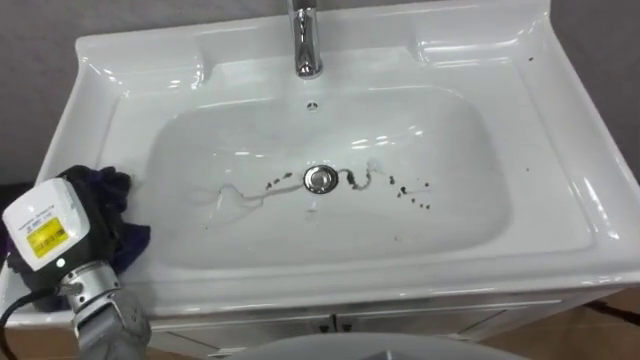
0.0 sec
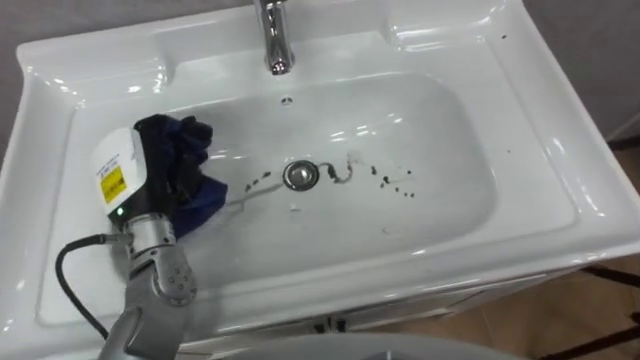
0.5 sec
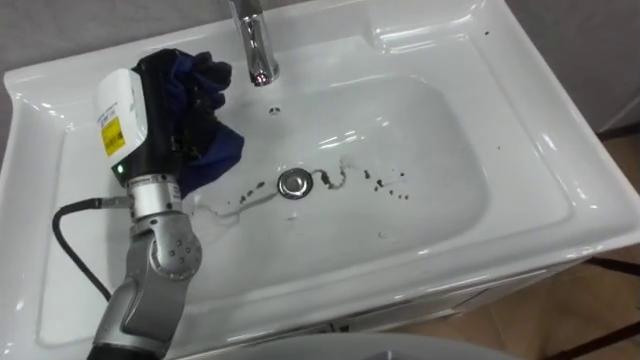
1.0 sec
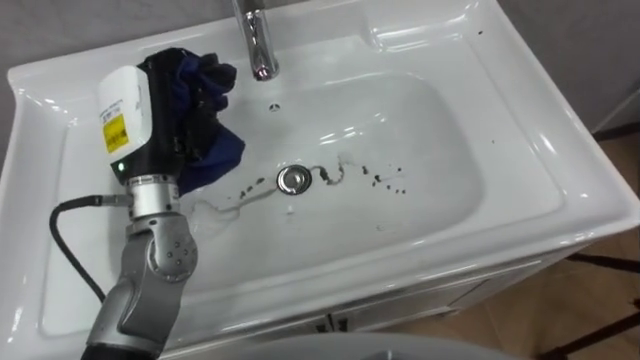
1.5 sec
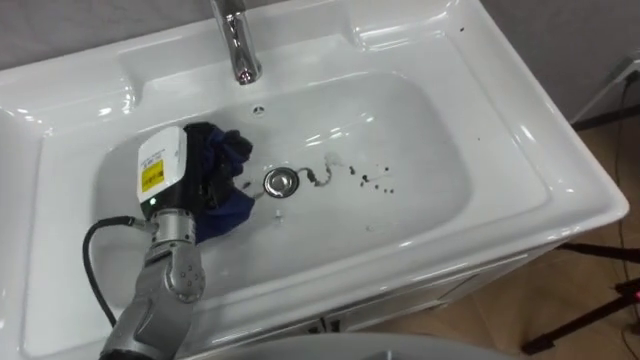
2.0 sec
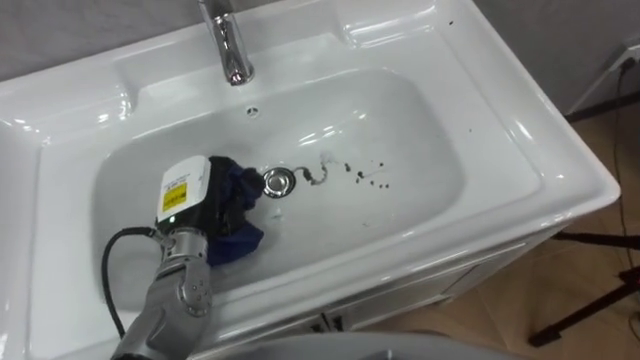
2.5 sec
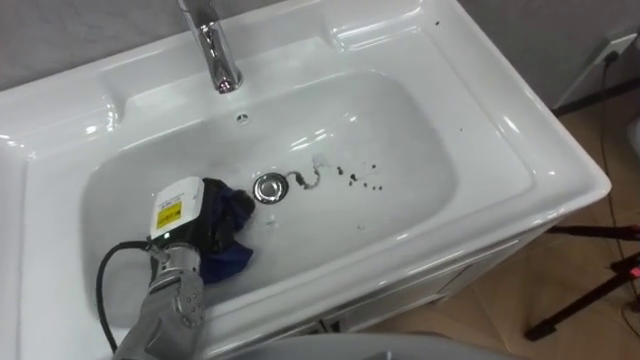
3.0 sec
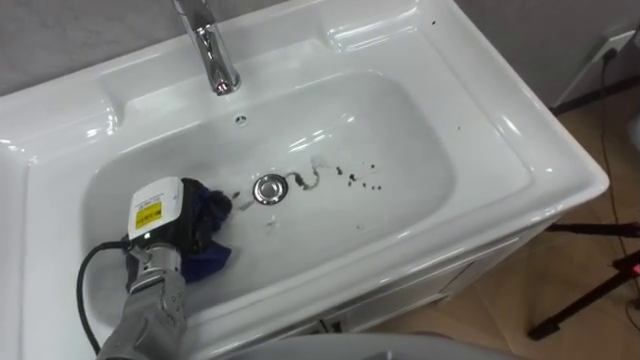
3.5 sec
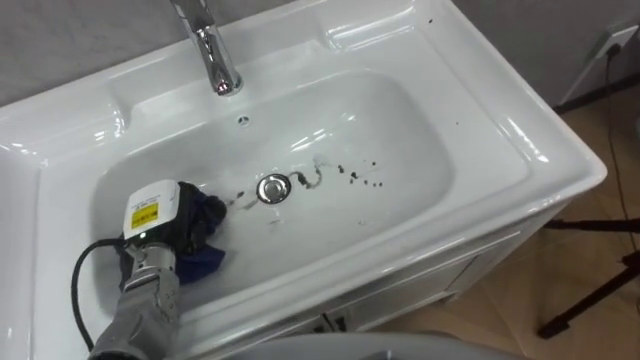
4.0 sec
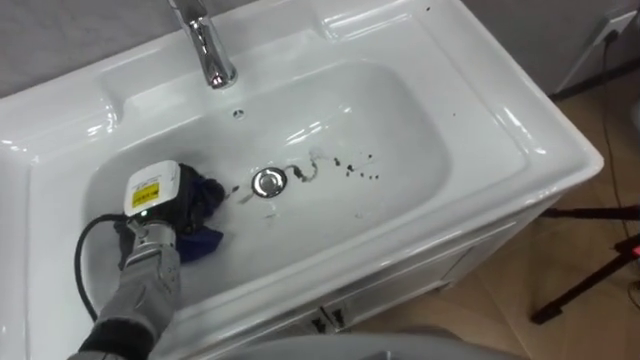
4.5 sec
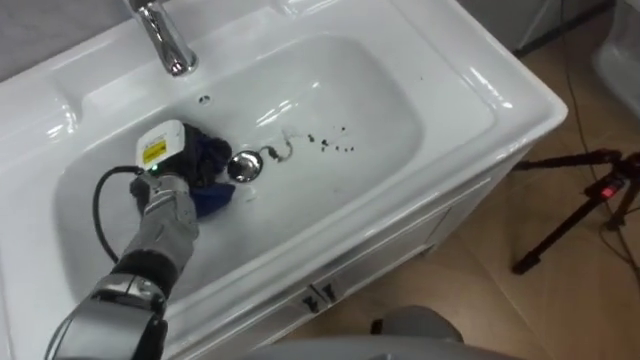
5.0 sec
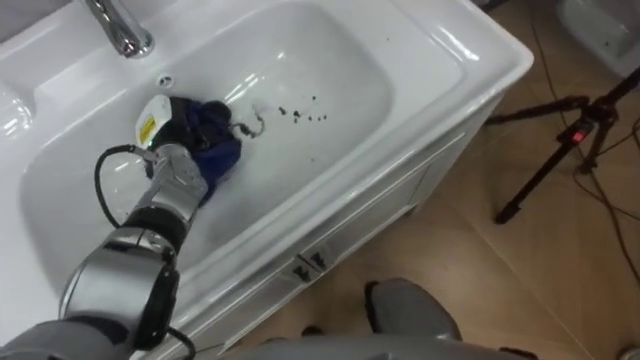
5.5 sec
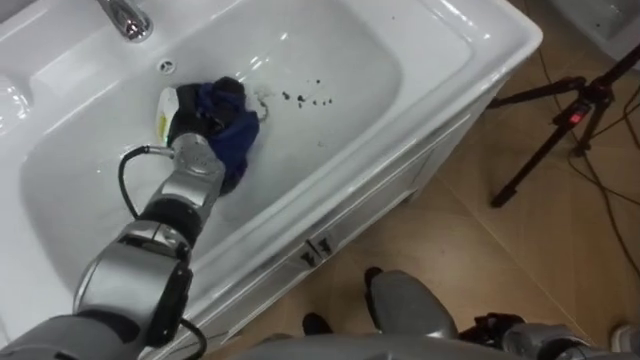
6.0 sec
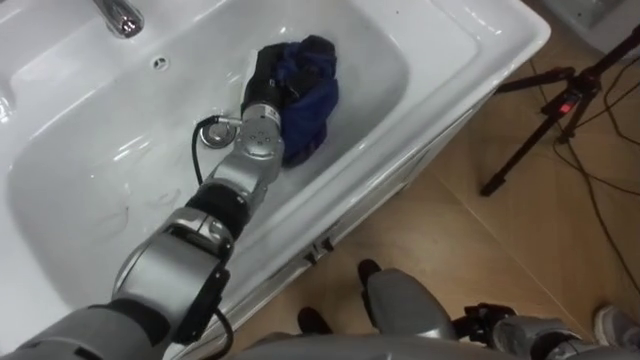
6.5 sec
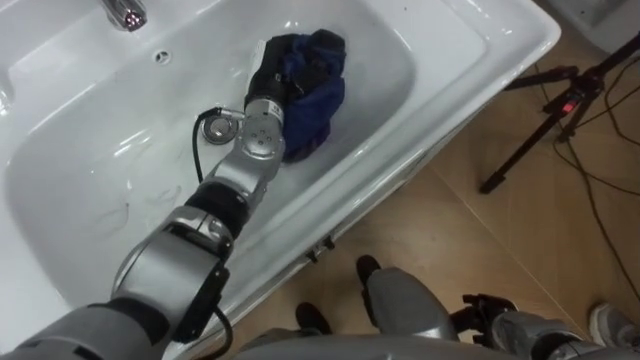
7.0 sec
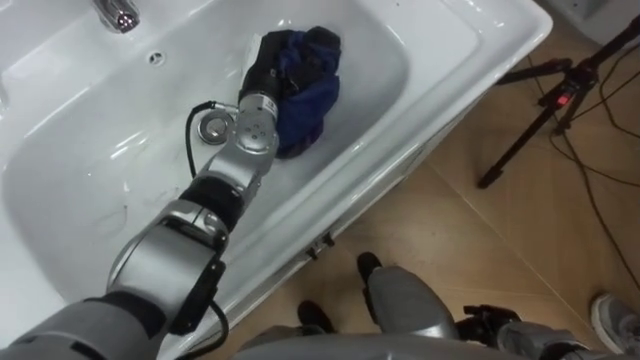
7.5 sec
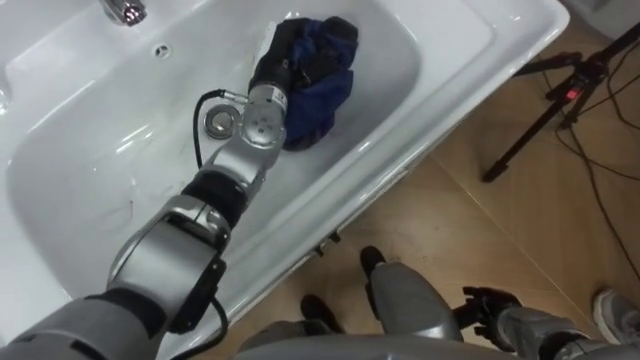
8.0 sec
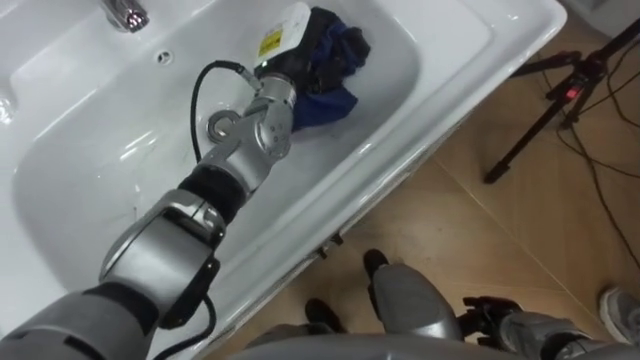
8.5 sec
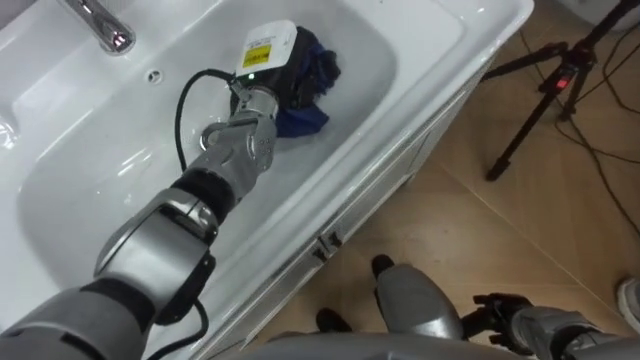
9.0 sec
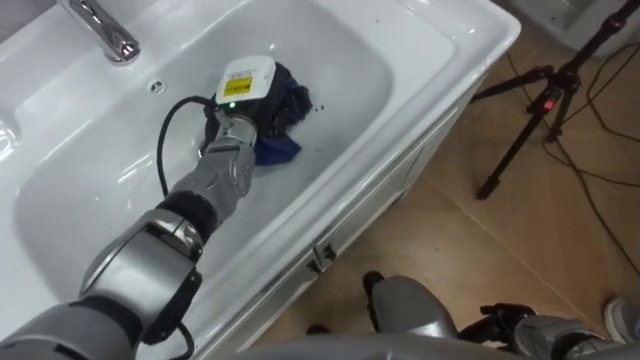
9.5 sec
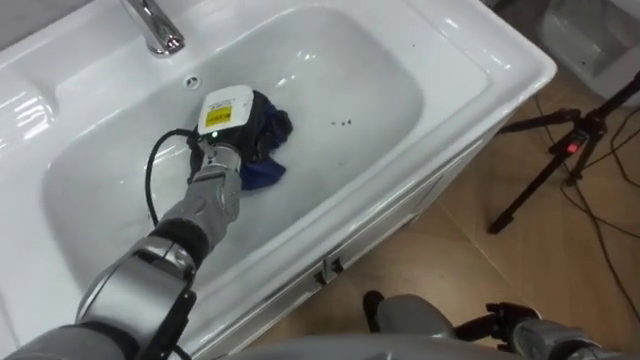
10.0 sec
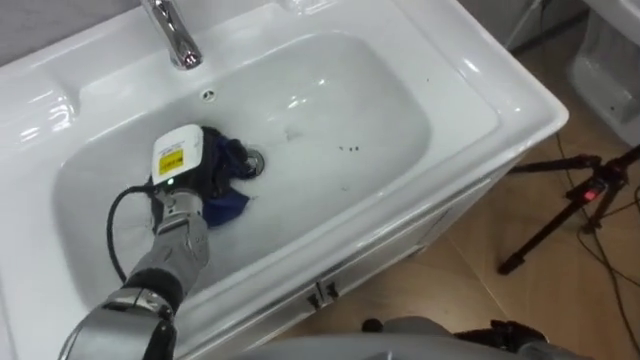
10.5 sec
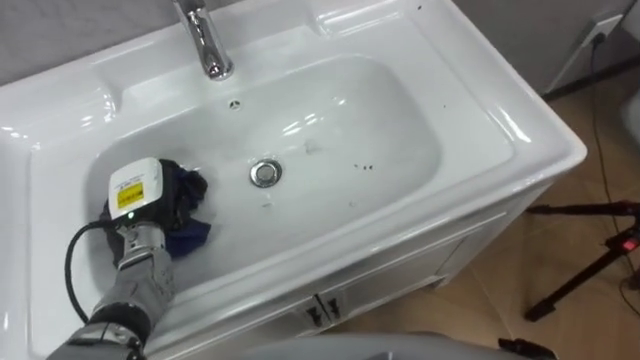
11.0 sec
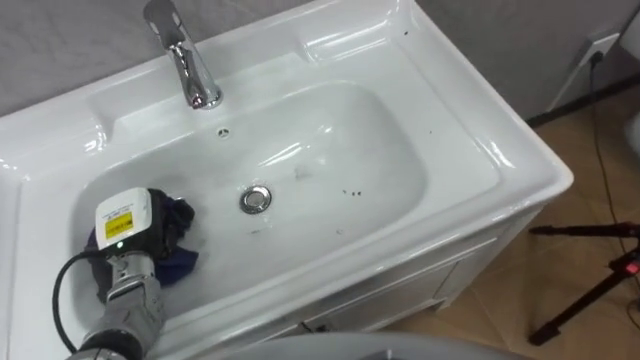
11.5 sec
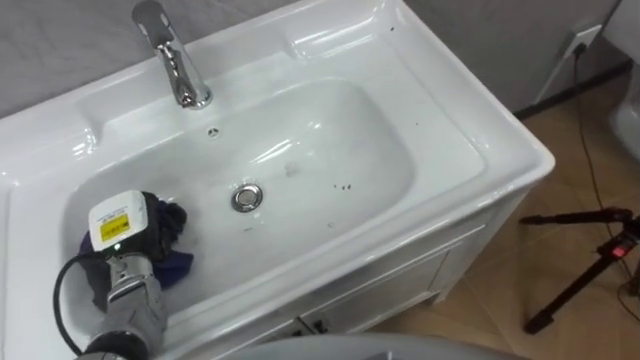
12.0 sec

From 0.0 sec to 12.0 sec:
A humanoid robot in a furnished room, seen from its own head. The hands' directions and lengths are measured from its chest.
Task of the whole recording: Use the cloth on the right to wipe away the black stain in the sink.
From 0.0 sec to 2.0 sec: The left hand travels to the right and forward by roughly 15 cm.
From 2.0 sec to 4.0 sec: The left hand moves downward, some 10 cm.
From 4.0 sec to 6.0 sec: The left hand goes some 15 cm forward.
From 6.0 sec to 8.0 sec: The left hand goes roughly 15 cm to the right and upward.
From 8.0 sec to 10.0 sec: The left hand travels to the left and downward by approximately 10 cm.
From 10.0 sec to 12.0 sec: The left hand heads to the left, backward and downward, covering approximately 20 cm.

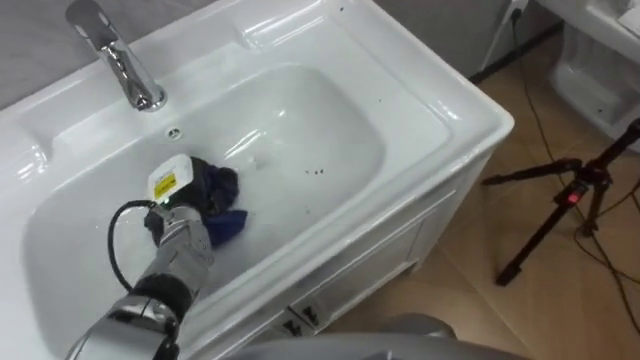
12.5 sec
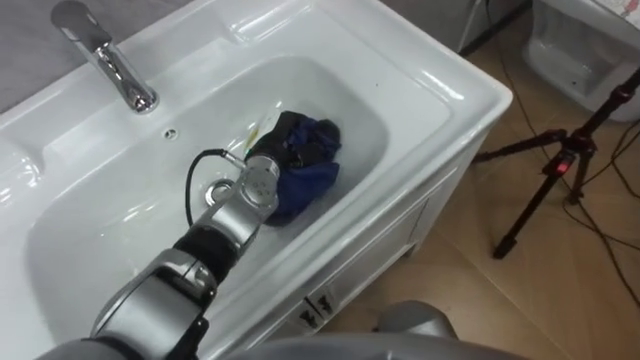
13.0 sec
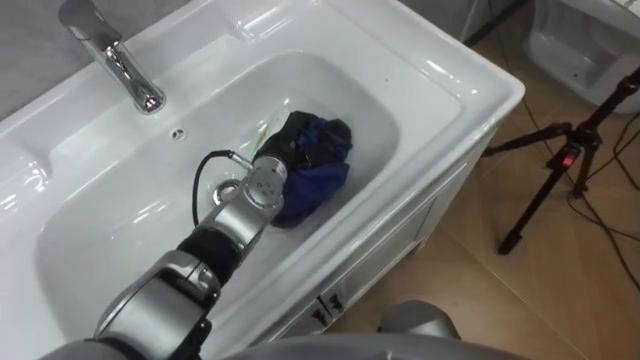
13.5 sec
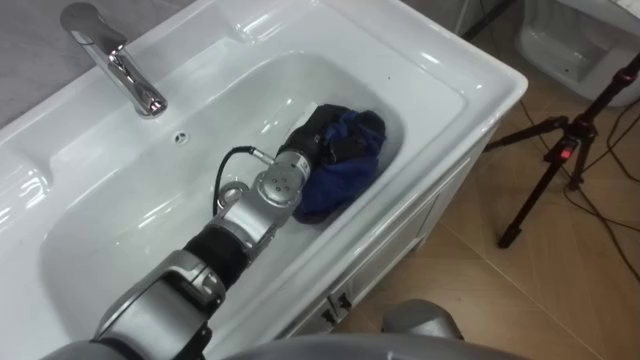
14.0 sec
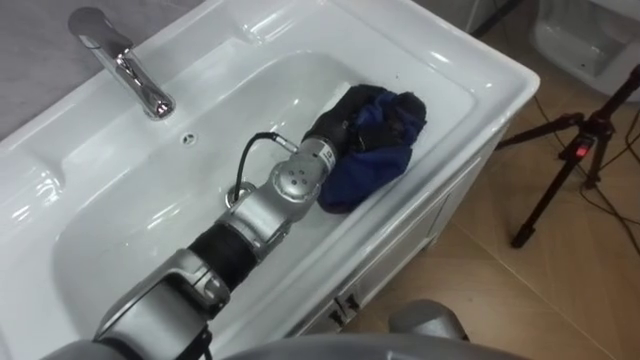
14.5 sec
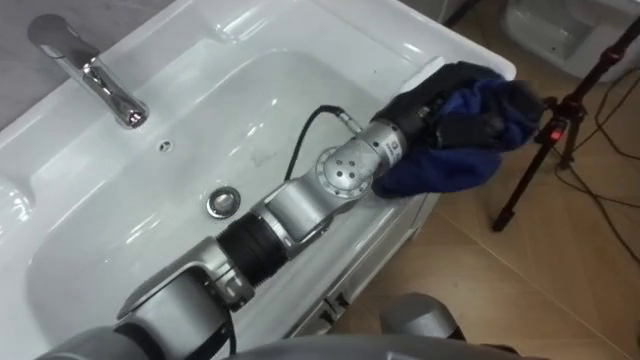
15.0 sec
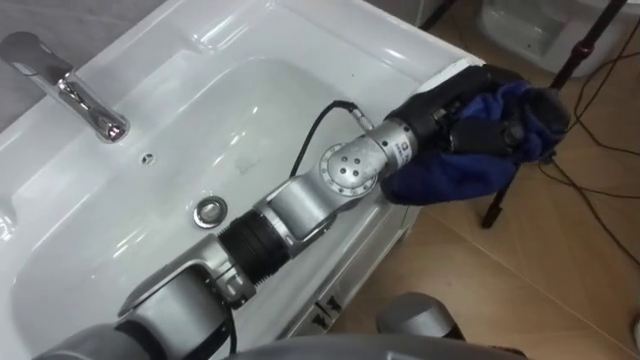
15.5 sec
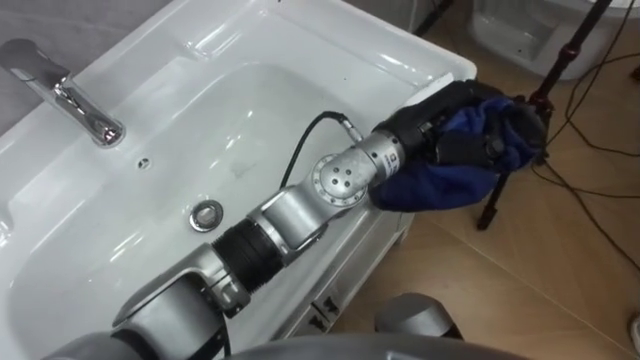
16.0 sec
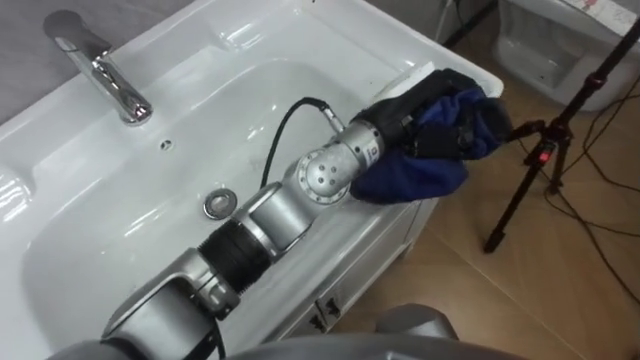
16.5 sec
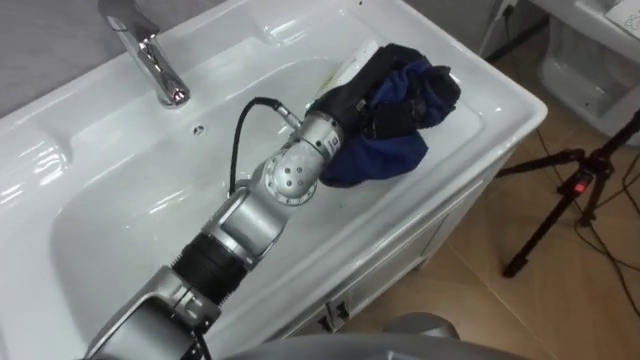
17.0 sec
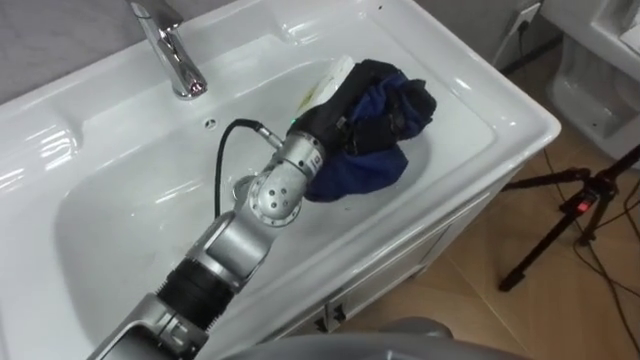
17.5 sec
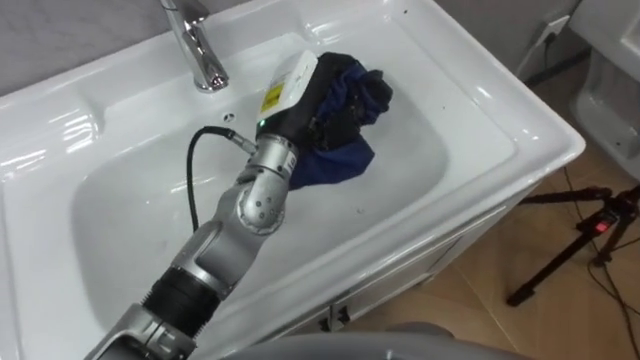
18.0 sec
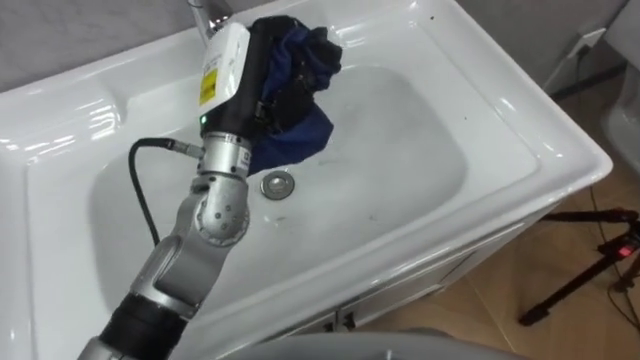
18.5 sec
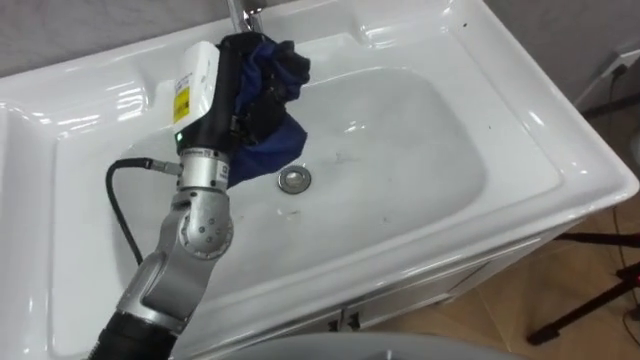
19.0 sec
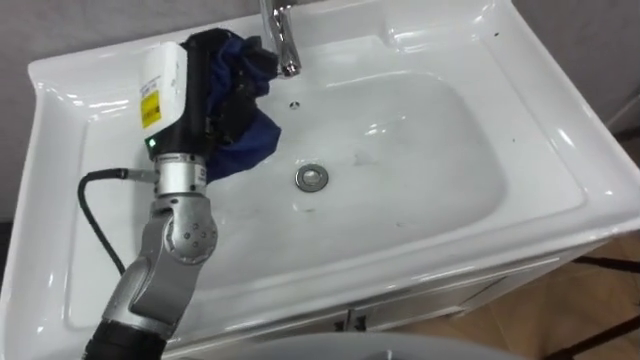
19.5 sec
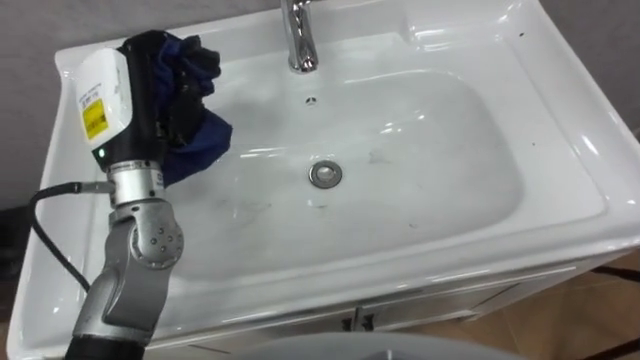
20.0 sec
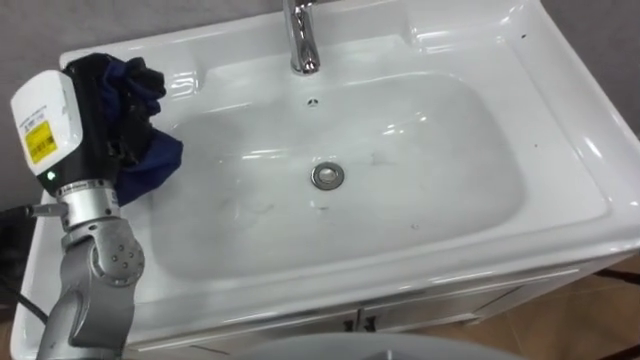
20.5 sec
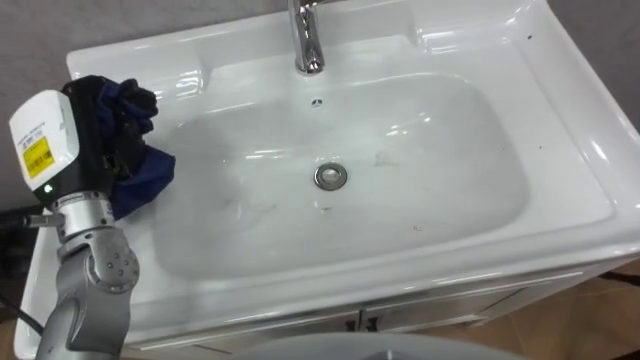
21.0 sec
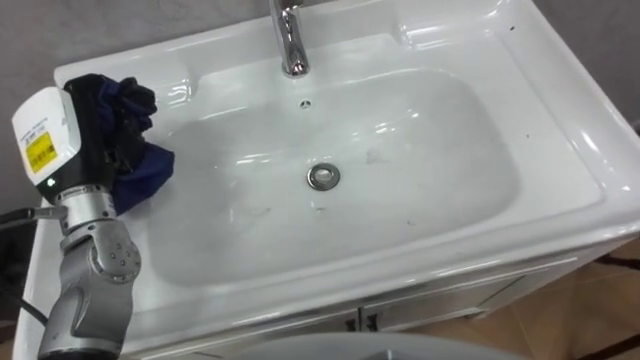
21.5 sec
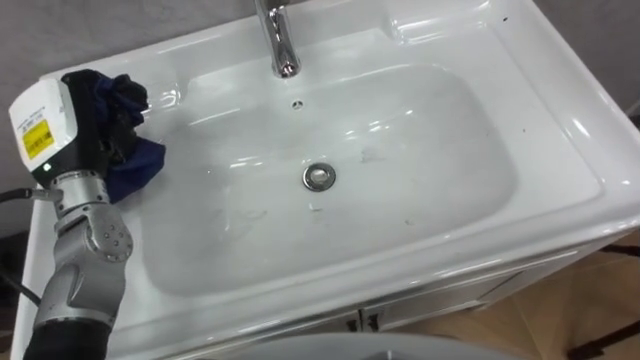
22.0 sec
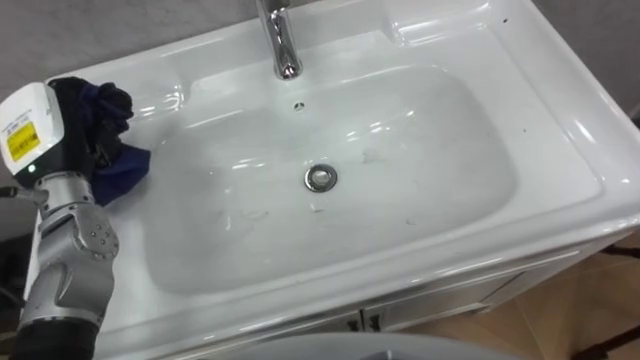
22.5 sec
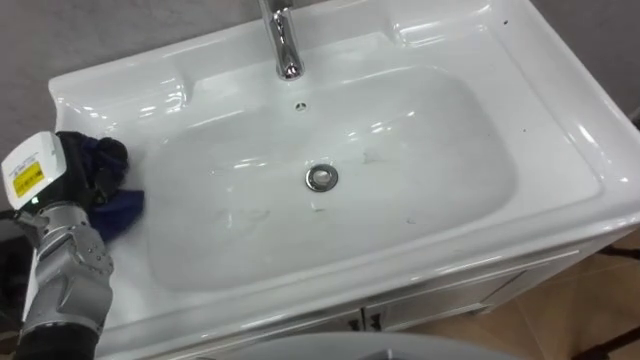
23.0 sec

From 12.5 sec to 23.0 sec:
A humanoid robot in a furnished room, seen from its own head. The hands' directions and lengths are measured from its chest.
Task of the whole recording: Use the cloth on the right to wipe away the black stain in the sink.
From 12.5 sec to 14.5 sec: The left hand heads to the right and upward, covering roughly 25 cm.
From 14.5 sec to 16.5 sec: The left hand is displaced upward and to the right by some 10 cm.
From 16.5 sec to 19.0 sec: The left hand heads to the left, covering approximately 20 cm.
From 19.0 sec to 21.0 sec: The left hand travels to the left by approximately 15 cm.
From 21.0 sec to 23.0 sec: The left hand is displaced downward and to the left by approximately 10 cm.
